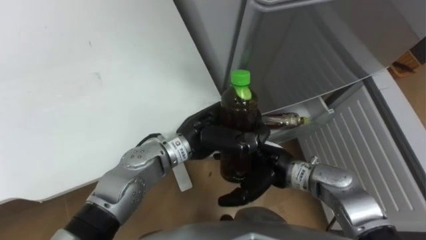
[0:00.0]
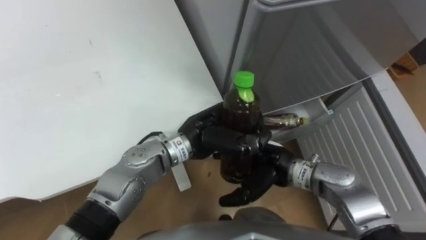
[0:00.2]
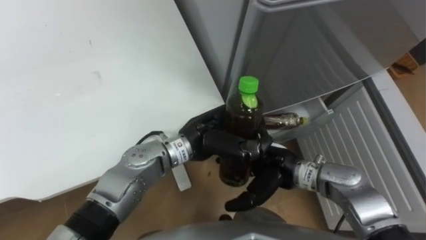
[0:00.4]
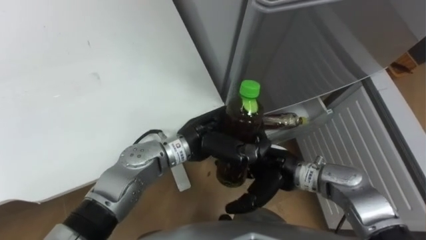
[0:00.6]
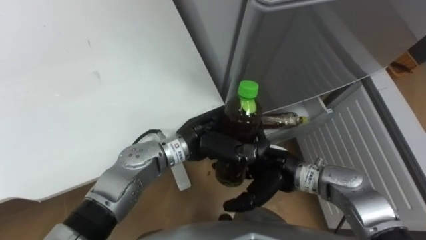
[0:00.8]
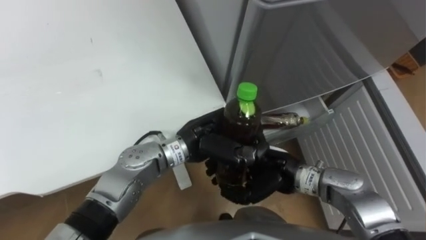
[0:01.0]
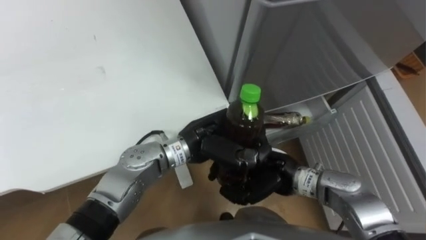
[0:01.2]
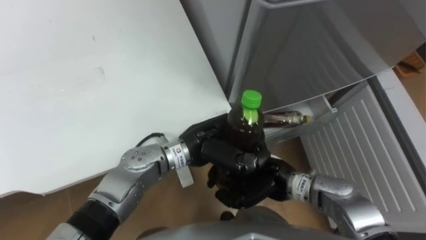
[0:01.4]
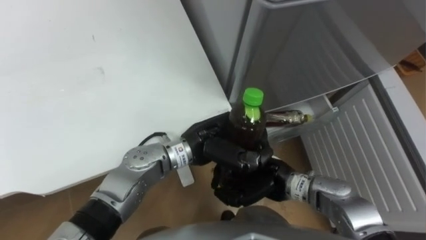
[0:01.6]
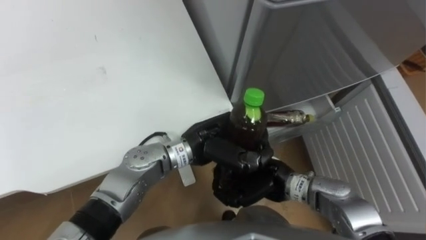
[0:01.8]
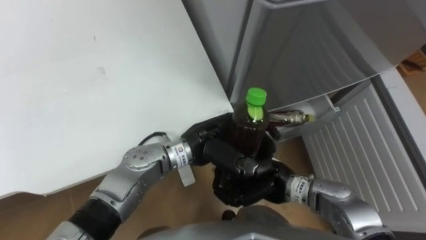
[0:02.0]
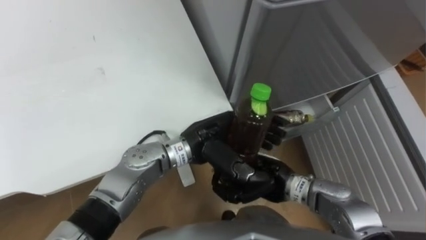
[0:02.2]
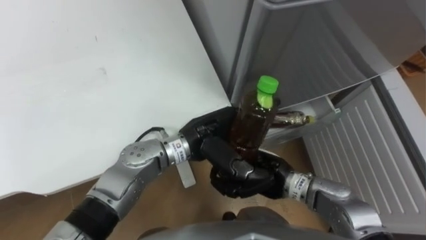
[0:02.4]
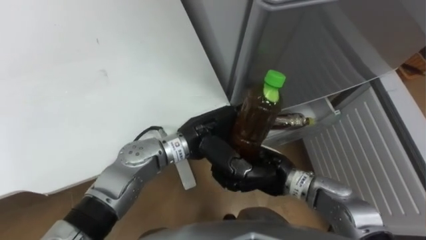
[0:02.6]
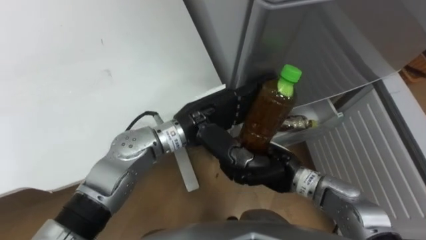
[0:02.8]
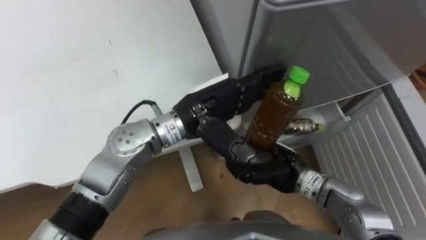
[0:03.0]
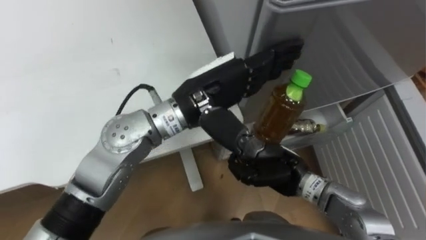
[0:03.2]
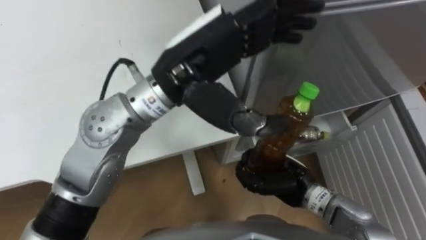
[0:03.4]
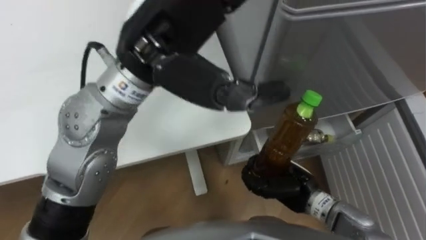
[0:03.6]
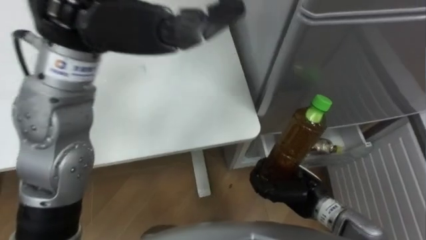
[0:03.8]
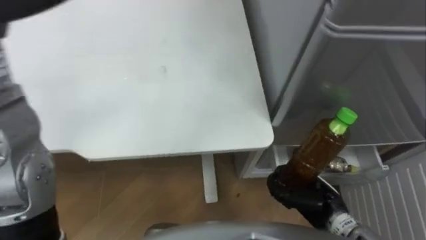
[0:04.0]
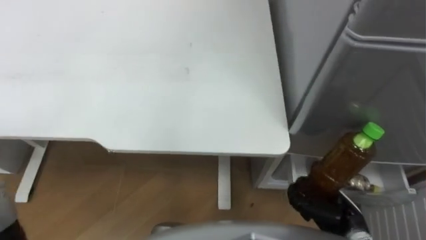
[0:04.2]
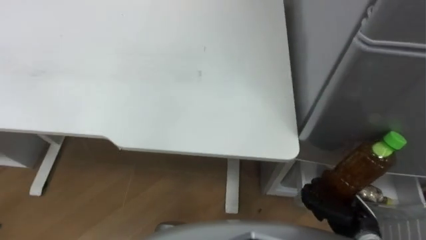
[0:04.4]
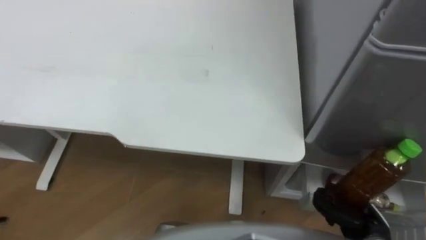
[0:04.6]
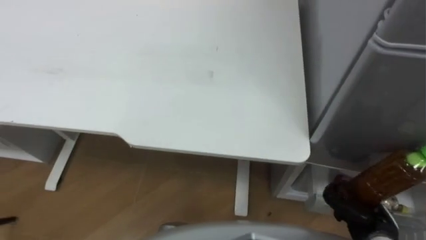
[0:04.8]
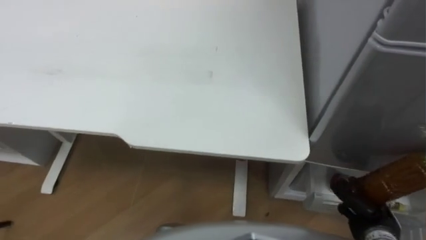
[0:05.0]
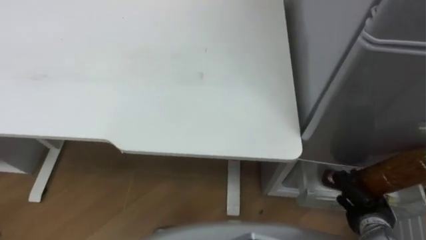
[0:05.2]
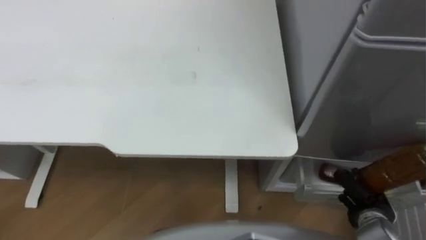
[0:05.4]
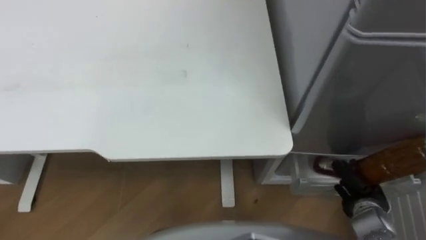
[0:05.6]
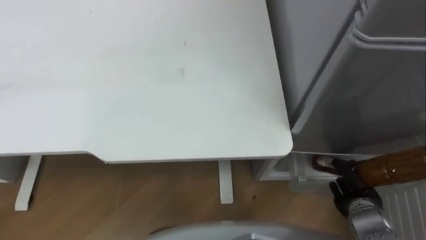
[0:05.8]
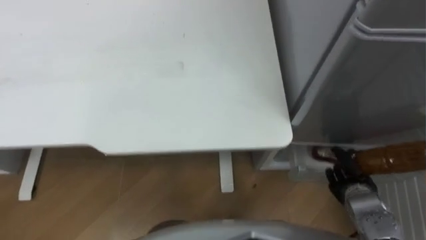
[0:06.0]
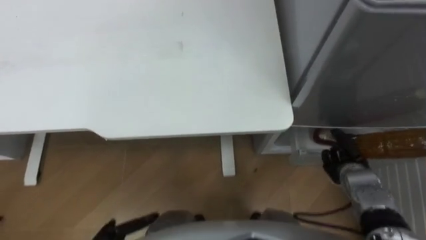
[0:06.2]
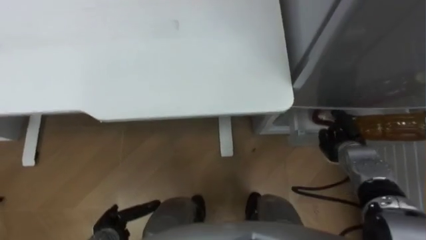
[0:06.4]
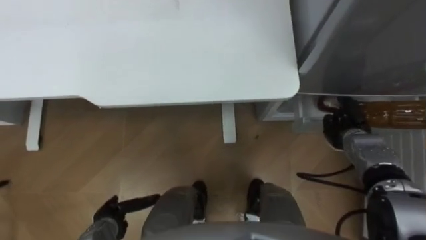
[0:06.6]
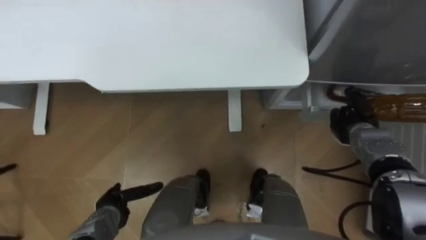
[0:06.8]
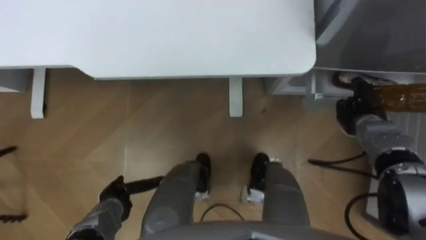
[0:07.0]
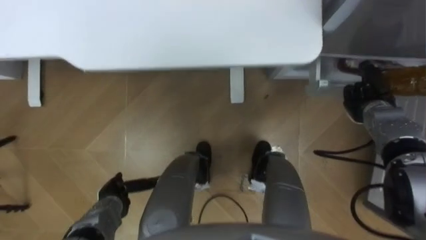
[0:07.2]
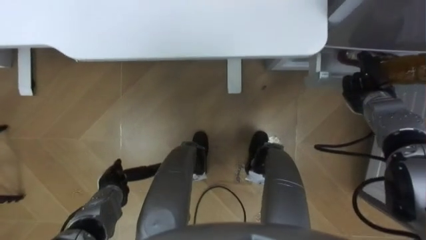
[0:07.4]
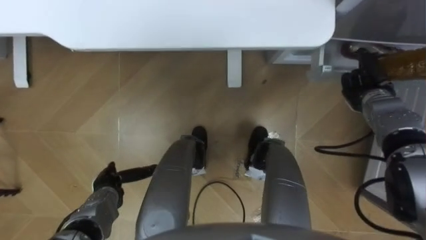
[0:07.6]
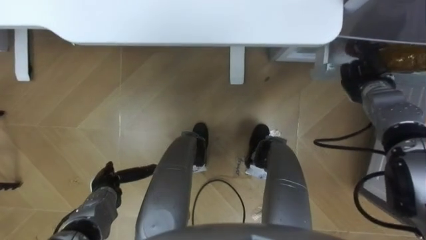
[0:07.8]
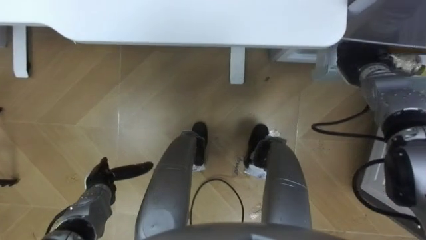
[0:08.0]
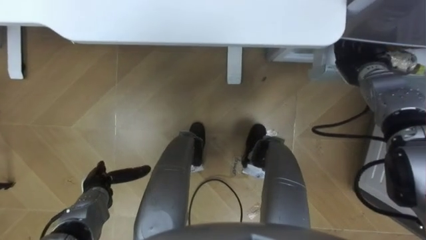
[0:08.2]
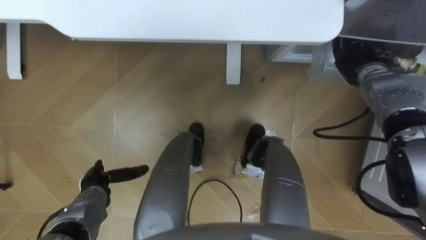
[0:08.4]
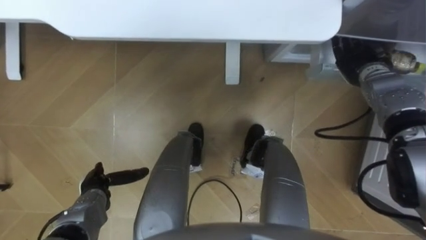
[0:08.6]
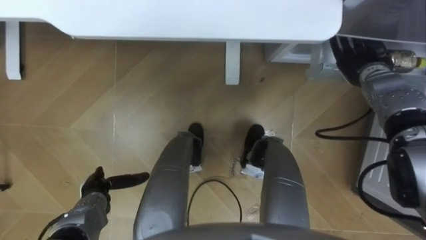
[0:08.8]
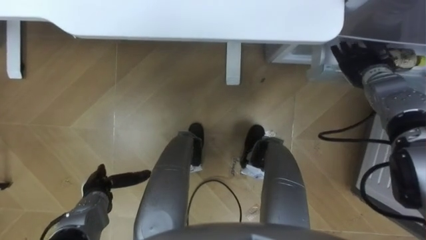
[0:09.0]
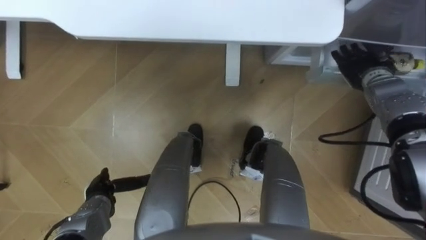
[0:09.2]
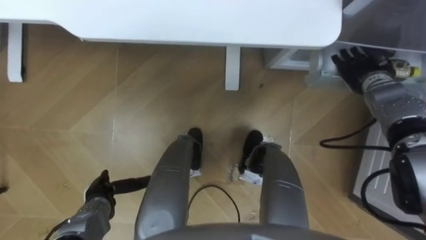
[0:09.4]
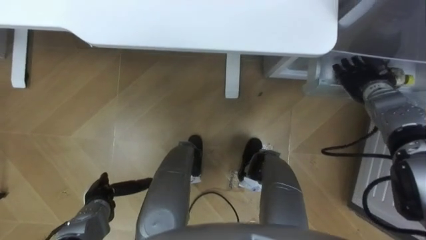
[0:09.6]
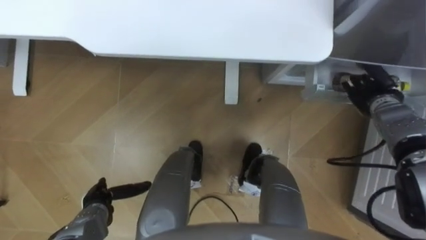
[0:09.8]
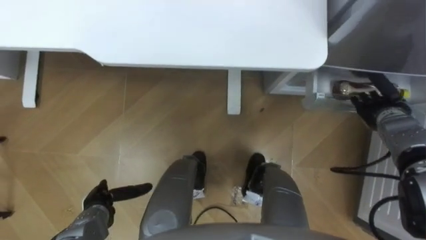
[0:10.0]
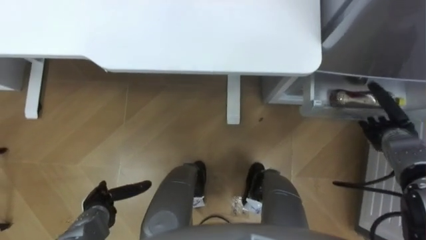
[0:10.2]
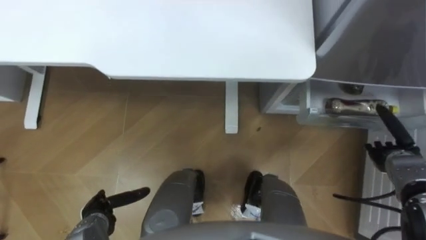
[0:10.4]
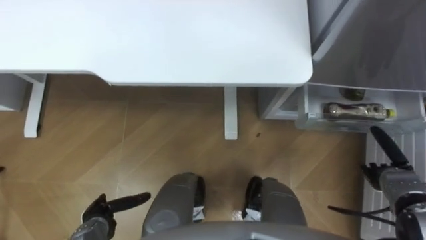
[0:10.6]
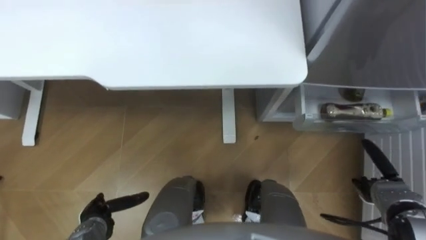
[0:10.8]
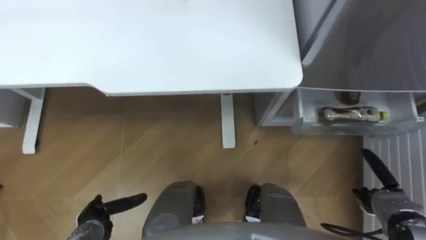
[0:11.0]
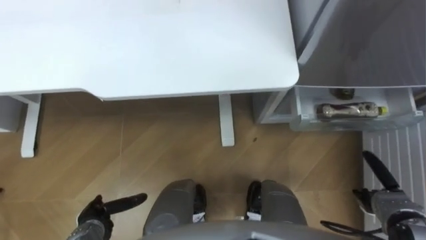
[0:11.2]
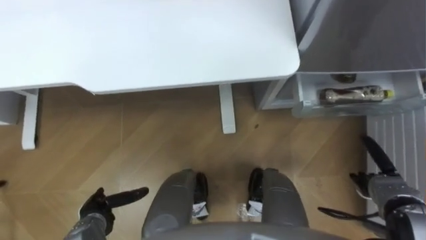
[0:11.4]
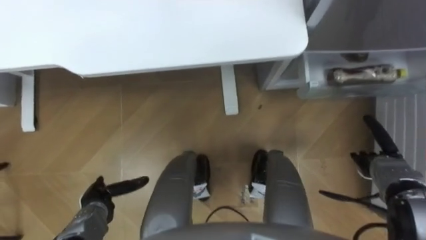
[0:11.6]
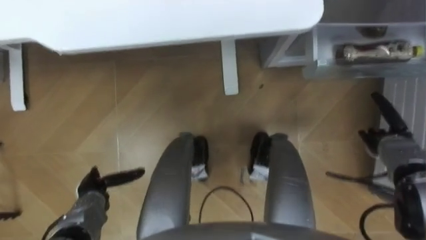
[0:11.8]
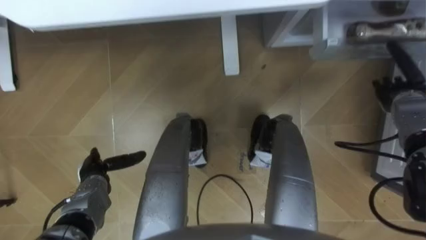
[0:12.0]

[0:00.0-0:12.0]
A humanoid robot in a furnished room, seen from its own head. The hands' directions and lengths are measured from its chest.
Task of the whole recording: Place the drink on the table on the bottom shelf of the refrigerator, then close the drawer and the refrigerator door.
0:00.0 to 0:01.6: The right hand closes.
0:01.6 to 0:03.0: The left hand travels upward by approximately 5 cm, and opens.
0:03.0 to 0:04.4: The right hand goes approximately 20 cm to the right, backward and downward.
0:04.4 to 0:06.0: The right hand shifts approximately 5 cm forward.
0:06.0 to 0:07.6: The right hand shifts some 20 cm forward and upward.
0:07.6 to 0:09.0: The right hand moves approximately 5 cm, and opens.
0:09.0 to 0:10.4: The right hand shifts some 20 cm backward, downward and to the right.
0:10.4 to 0:12.0: The right hand travels forward and upward by roughly 10 cm; the left hand is displaced forward by approximately 5 cm.

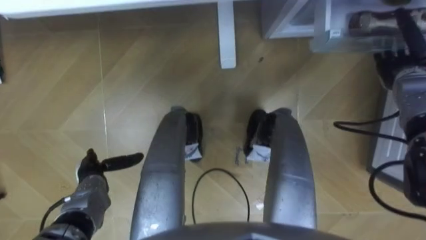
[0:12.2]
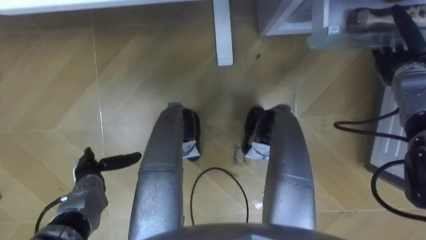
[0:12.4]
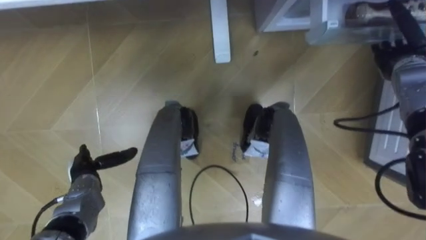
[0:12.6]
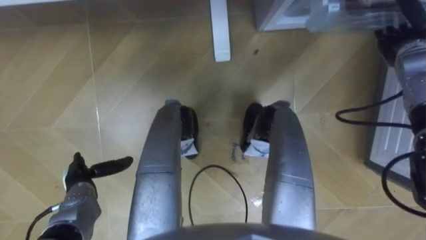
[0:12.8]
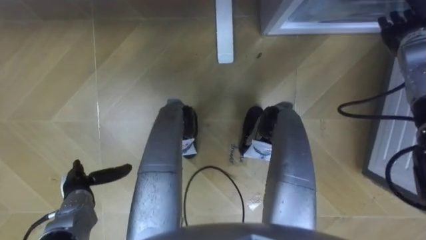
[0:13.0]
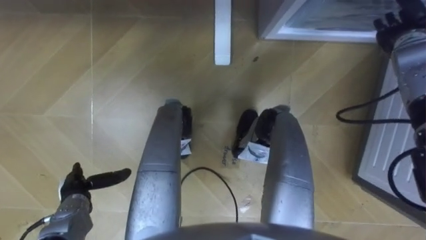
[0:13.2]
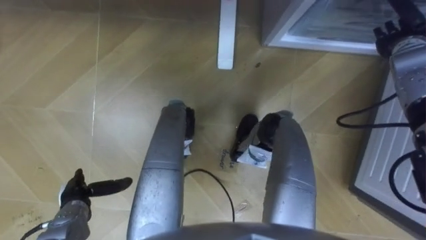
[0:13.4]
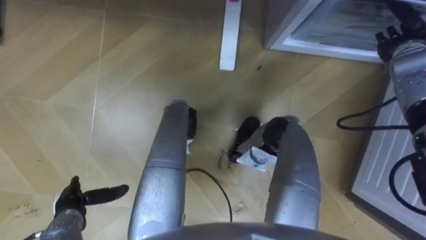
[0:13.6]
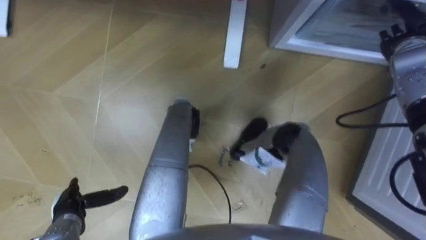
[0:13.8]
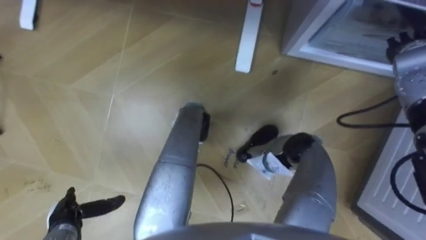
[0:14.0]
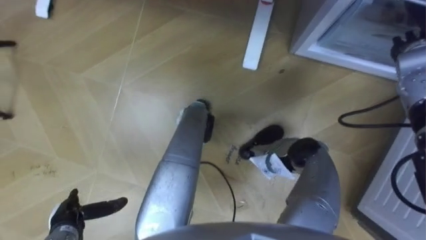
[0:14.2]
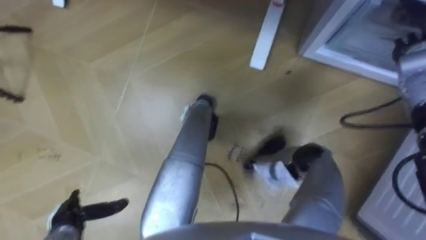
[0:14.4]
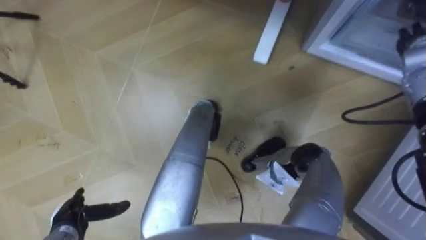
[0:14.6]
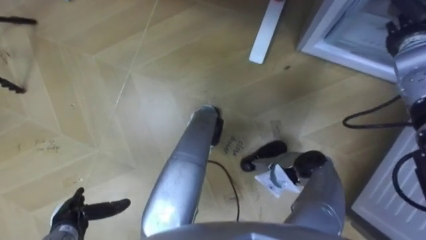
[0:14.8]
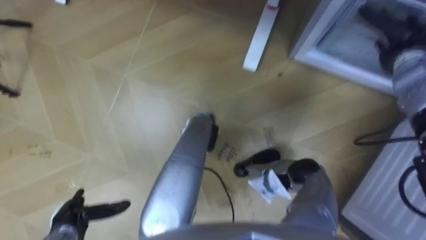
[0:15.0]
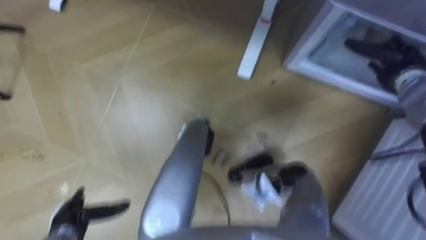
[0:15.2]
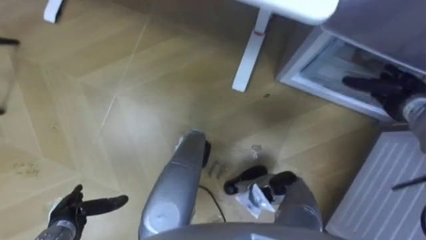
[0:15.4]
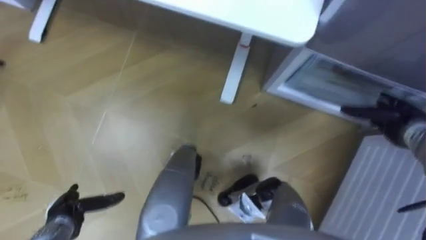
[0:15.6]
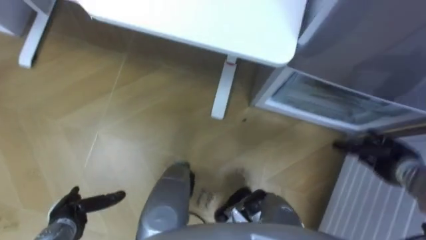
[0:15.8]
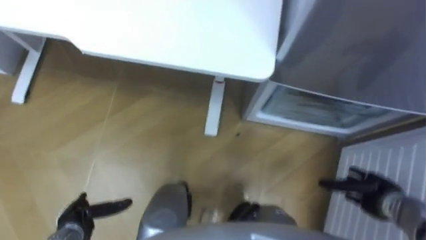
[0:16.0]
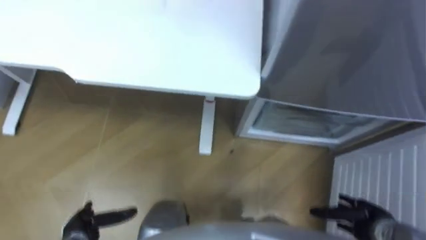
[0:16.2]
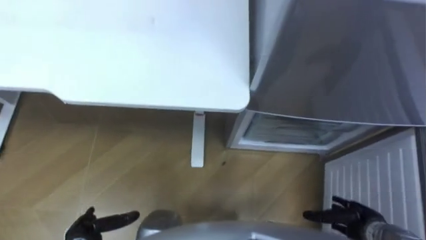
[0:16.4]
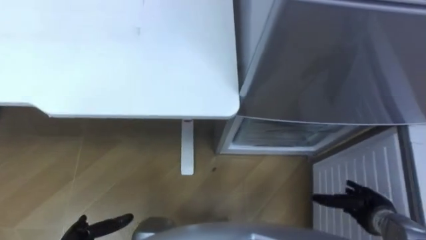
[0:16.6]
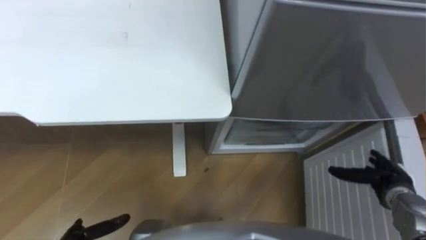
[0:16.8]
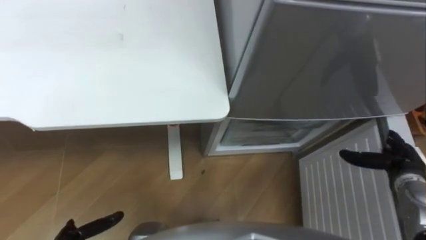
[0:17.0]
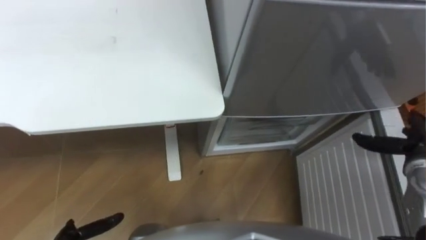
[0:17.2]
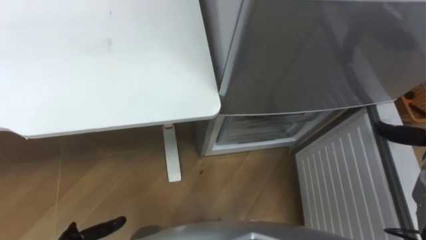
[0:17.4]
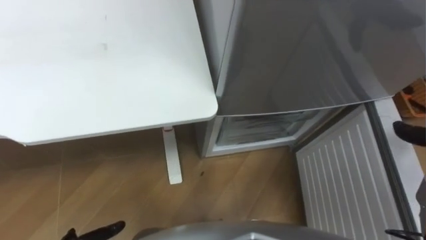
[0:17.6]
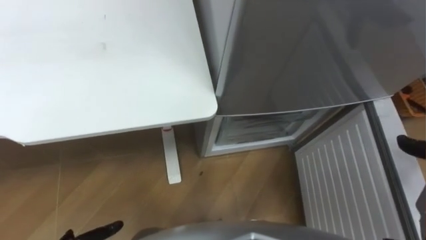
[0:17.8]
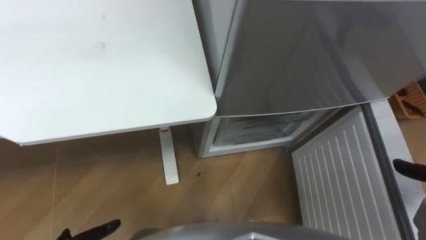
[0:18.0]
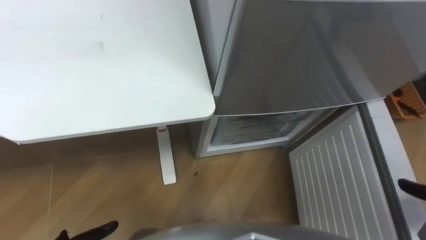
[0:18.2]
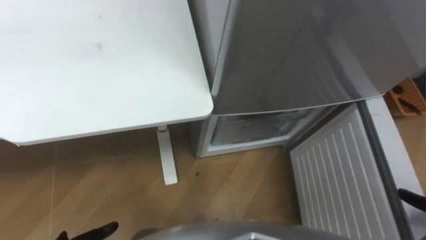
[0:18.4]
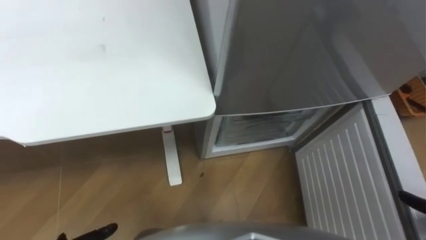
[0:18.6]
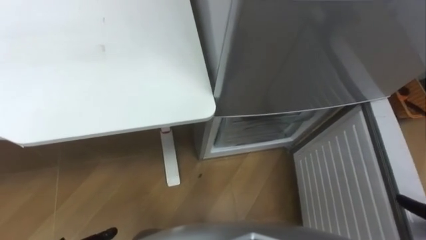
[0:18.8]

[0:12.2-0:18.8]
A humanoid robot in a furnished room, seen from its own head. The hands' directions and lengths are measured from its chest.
Task of the whole recording: Place the drink on the table on the bottom shelf of the refrigerator, then close the drawer and the refrigerator door.
0:12.2 to 0:13.8: The left hand shifts some 10 cm backward. Meanwhile the right hand ends up approximately 5 cm from where it was.
0:13.8 to 0:15.4: The right hand goes roughly 10 cm downward and backward.
0:15.4 to 0:17.2: The right hand travels backward by about 10 cm.
